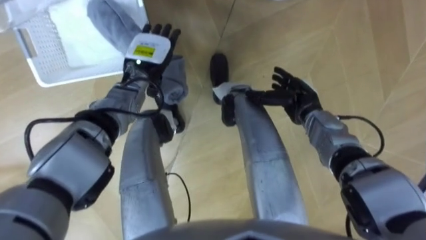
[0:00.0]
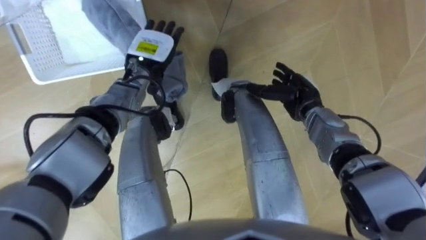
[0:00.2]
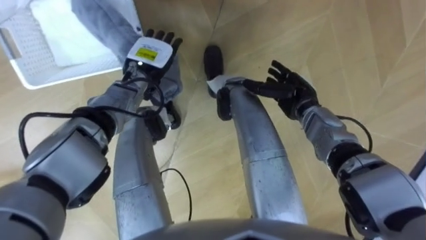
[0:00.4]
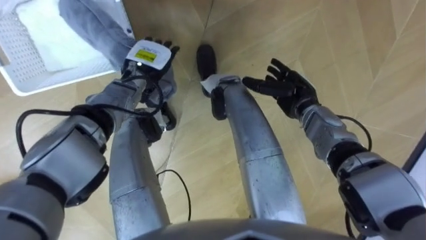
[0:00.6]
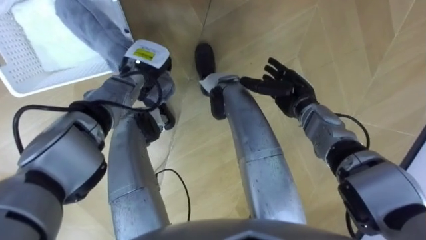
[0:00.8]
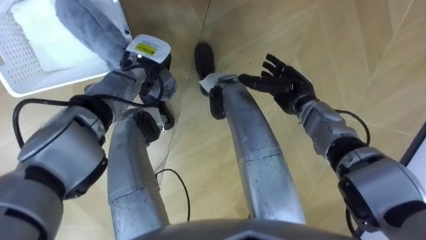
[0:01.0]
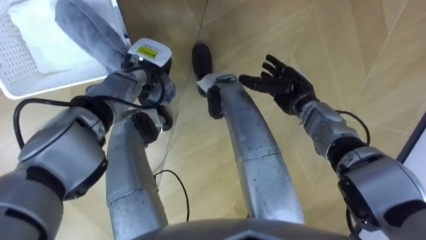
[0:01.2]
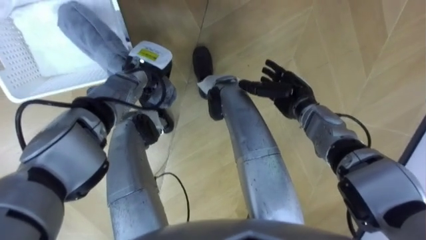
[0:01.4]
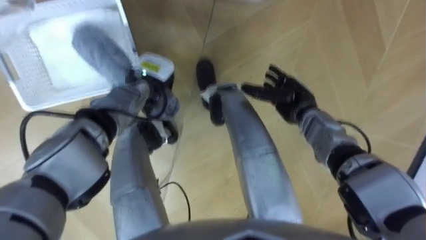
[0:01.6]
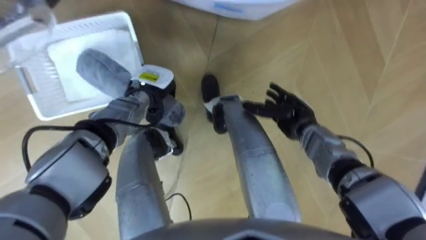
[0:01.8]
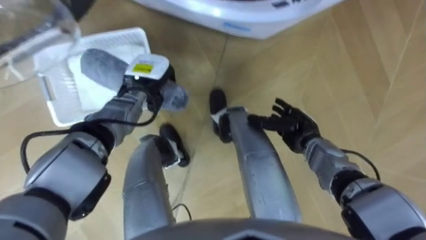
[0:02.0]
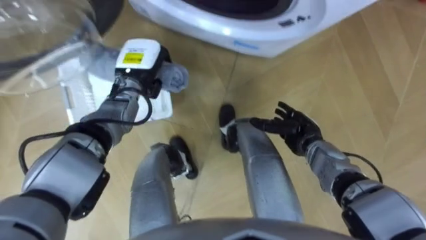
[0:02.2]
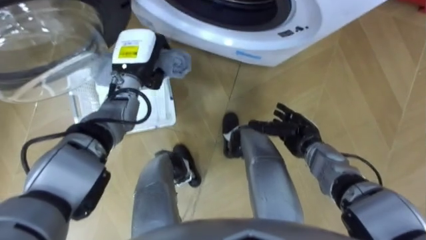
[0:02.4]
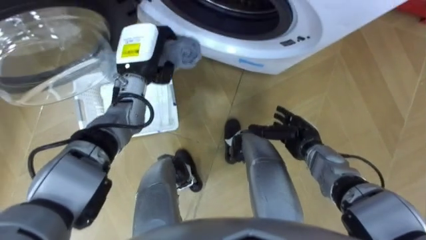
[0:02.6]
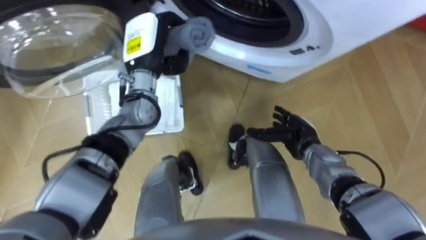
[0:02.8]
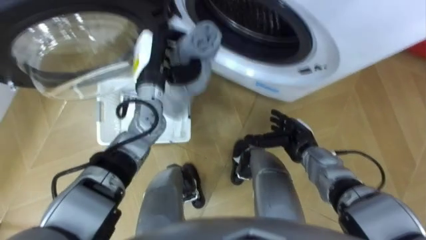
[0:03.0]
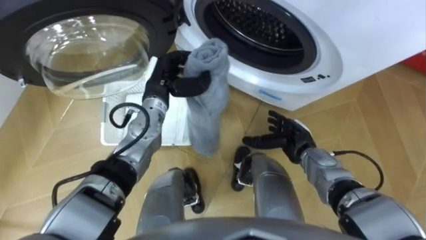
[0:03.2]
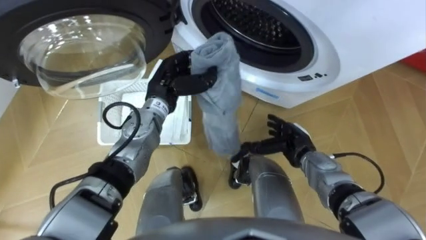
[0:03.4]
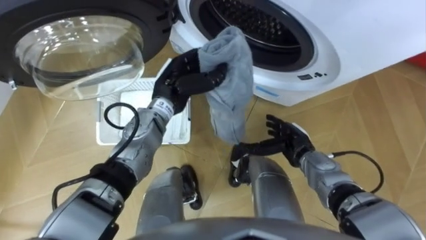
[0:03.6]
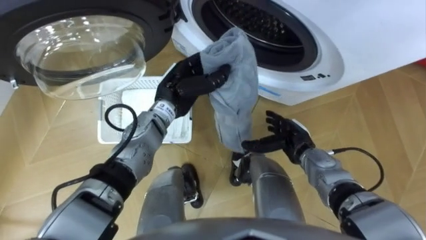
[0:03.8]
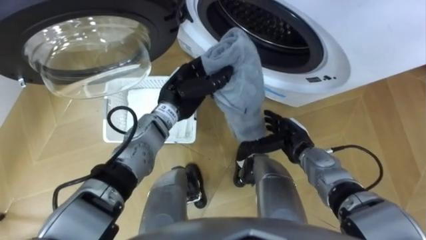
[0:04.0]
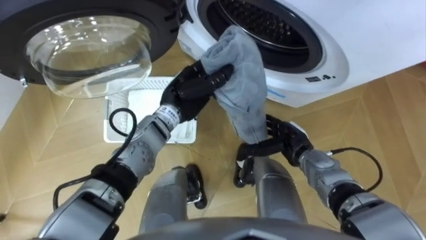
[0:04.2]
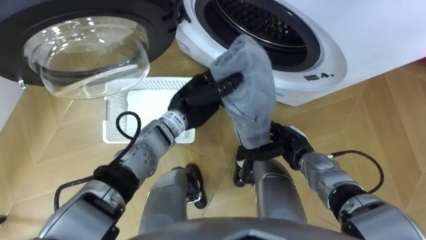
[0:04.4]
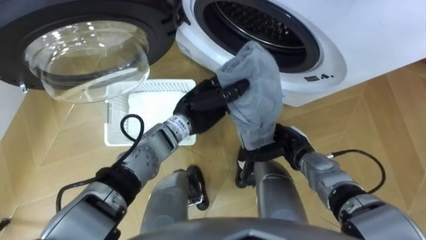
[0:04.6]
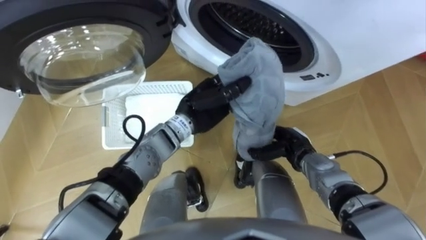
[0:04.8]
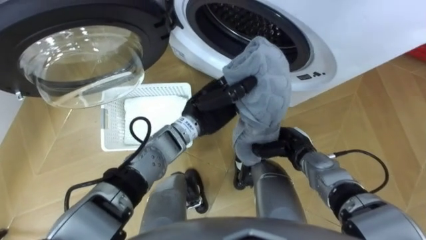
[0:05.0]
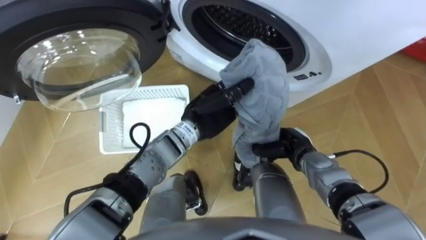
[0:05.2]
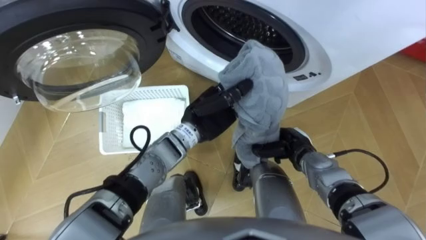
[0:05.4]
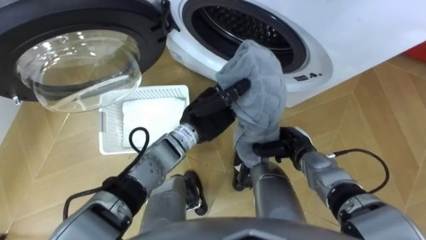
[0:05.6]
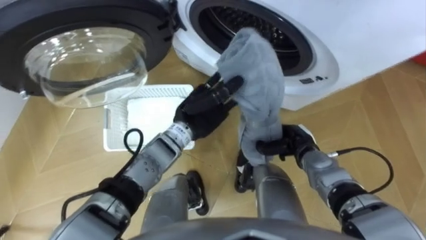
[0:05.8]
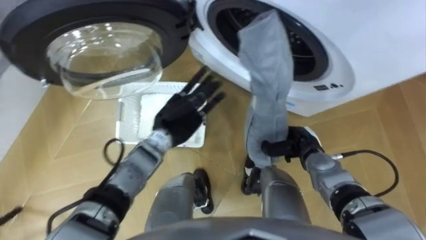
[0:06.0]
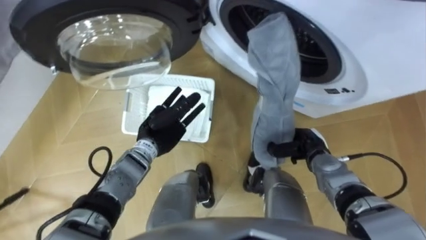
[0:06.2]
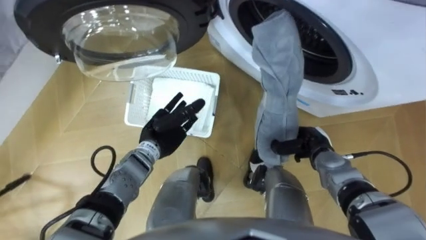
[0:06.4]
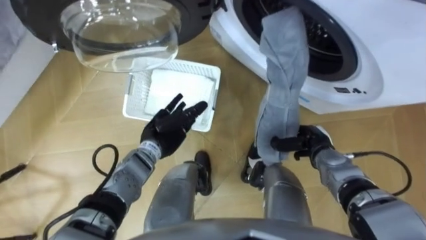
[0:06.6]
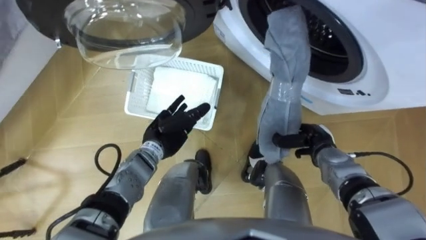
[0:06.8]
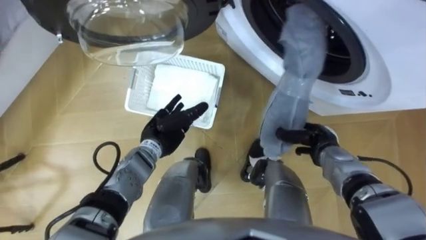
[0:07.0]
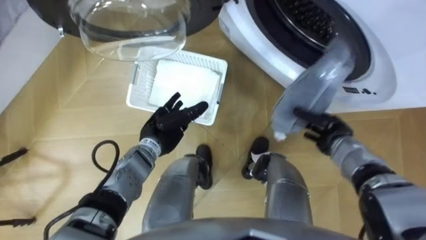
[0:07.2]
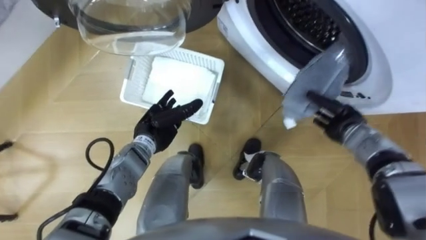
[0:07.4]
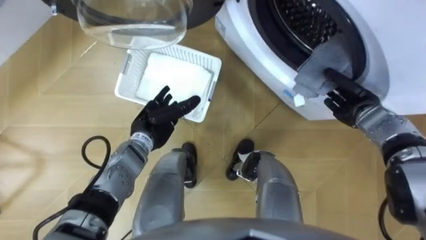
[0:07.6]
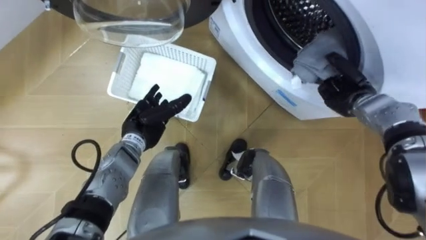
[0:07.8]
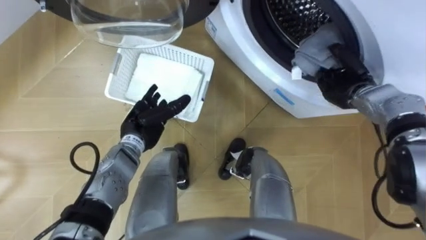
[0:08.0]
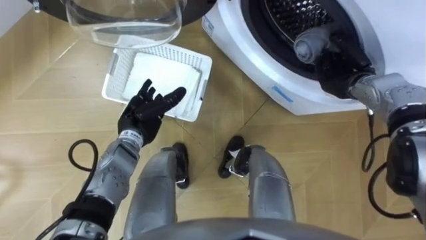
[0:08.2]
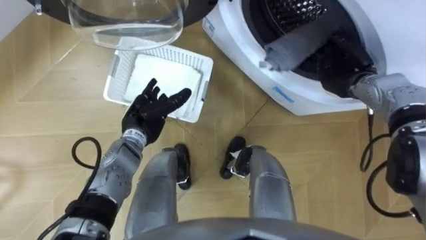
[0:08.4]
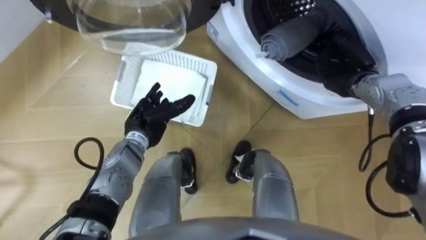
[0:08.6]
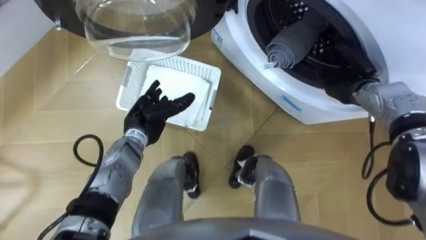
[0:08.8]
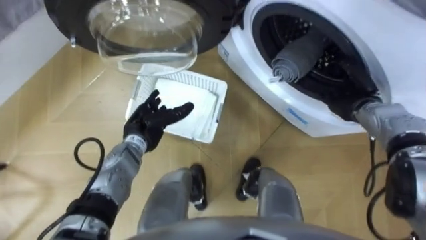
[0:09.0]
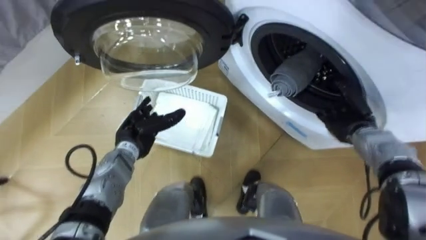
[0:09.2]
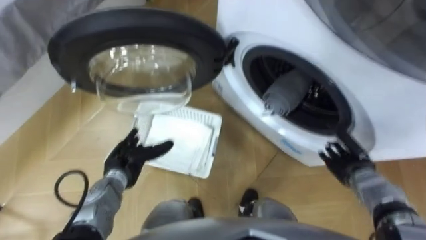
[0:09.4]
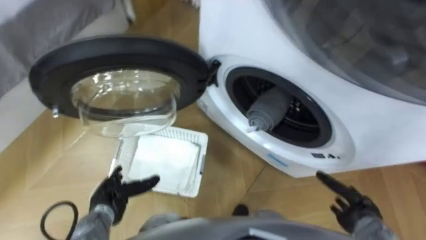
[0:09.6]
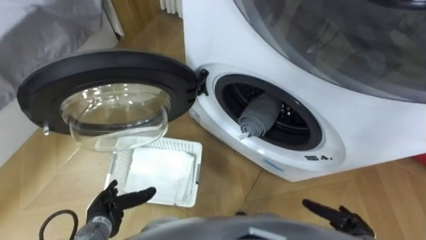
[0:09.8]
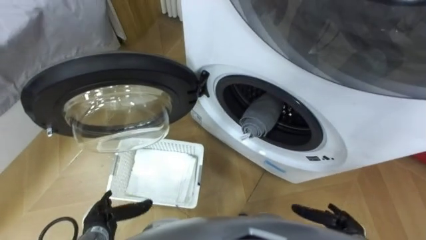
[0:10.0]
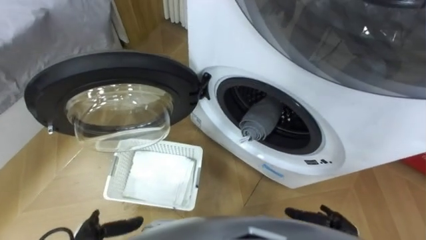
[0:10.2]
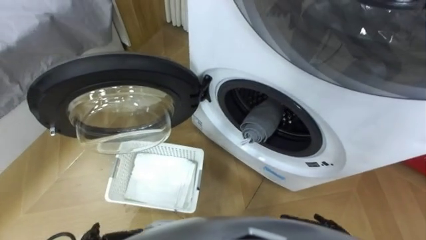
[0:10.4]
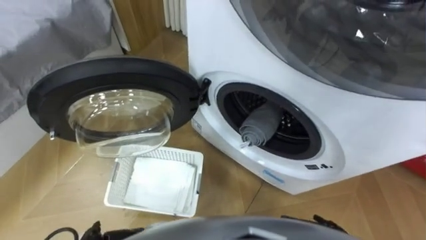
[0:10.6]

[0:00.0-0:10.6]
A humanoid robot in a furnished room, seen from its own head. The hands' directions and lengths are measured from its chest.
Task of the whole recording: Take the towel from the basket and put it into the washing machine.
0:00.0 to 0:01.6: The left hand closes up.
0:01.6 to 0:03.0: The left hand heads upward, covering approximately 5 cm. The right hand moves backward and downward, about 10 cm.
0:03.0 to 0:04.6: The left hand moves to the right and backward, roughly 10 cm.
0:04.6 to 0:06.0: The right hand closes, while the left hand moves to the left, approximately 5 cm, and opens its fingers.
0:06.0 to 0:07.6: The left hand heads to the left, covering roughly 5 cm. The right hand heads to the right, forward and upward, covering approximately 15 cm.
0:07.6 to 0:09.0: The right hand opens its fingers.

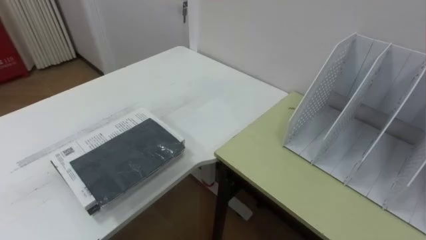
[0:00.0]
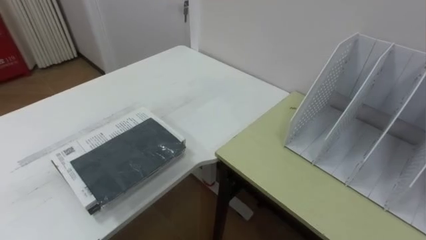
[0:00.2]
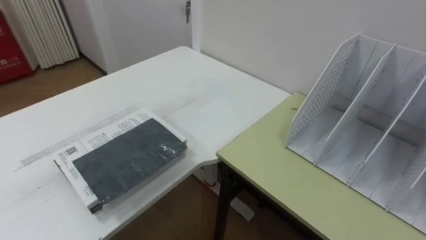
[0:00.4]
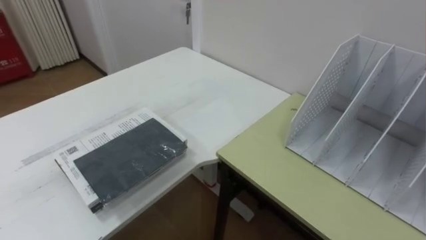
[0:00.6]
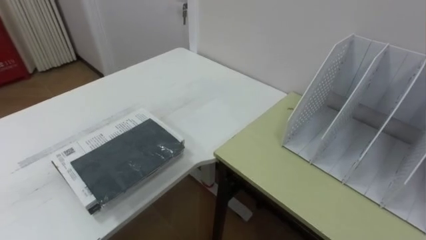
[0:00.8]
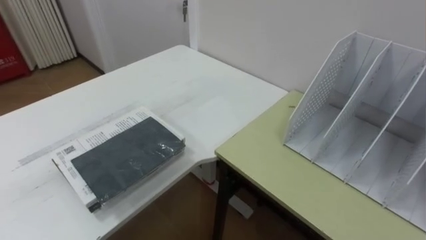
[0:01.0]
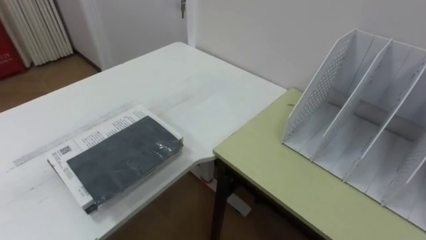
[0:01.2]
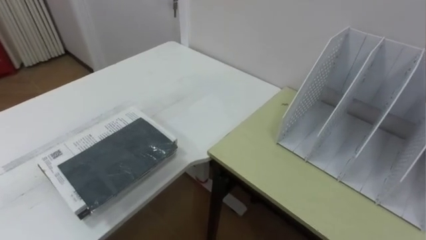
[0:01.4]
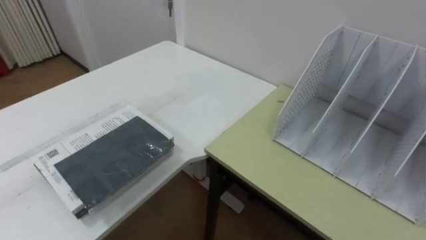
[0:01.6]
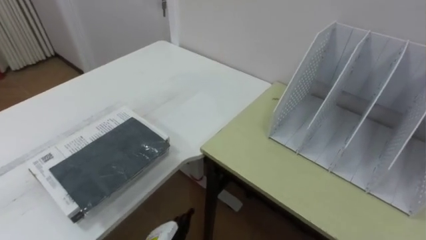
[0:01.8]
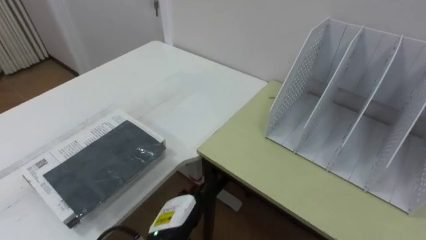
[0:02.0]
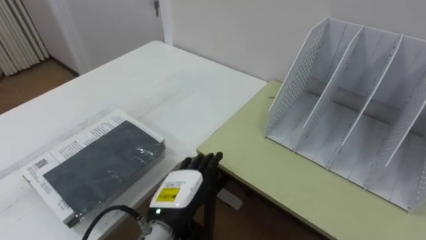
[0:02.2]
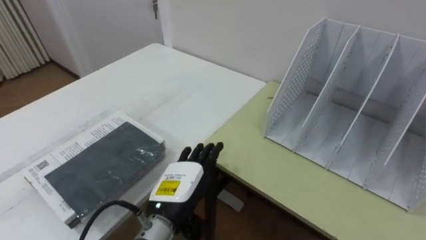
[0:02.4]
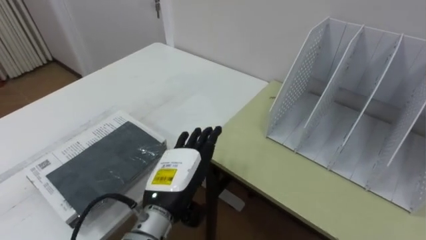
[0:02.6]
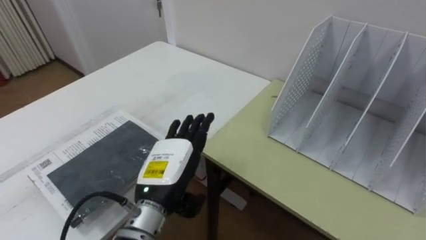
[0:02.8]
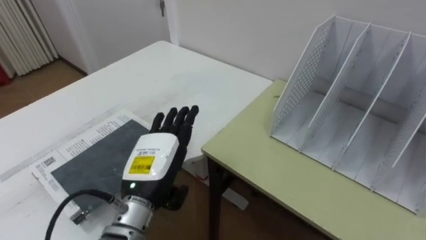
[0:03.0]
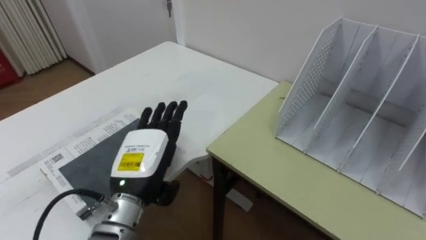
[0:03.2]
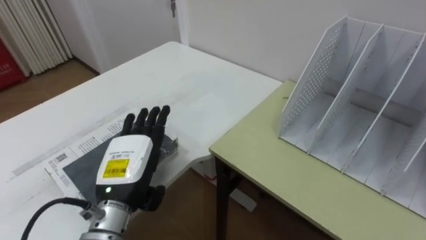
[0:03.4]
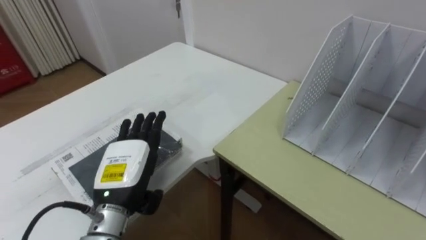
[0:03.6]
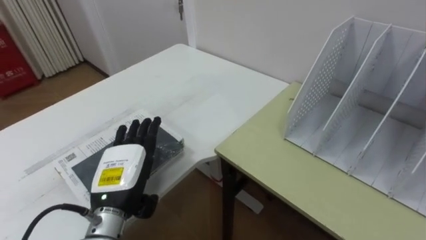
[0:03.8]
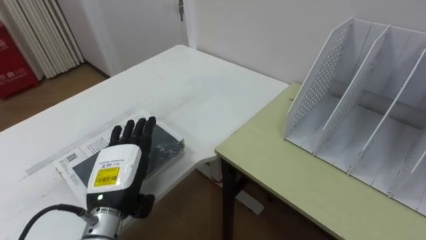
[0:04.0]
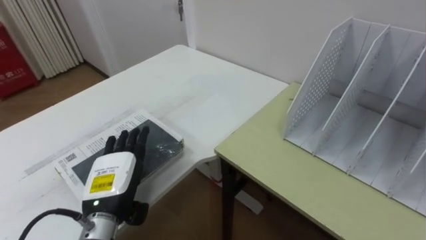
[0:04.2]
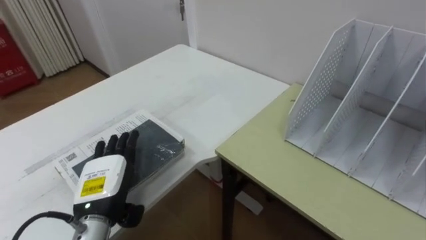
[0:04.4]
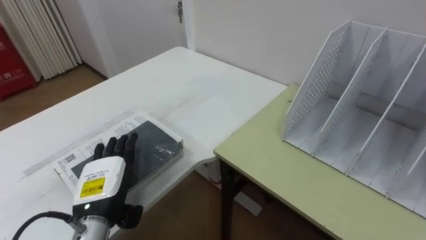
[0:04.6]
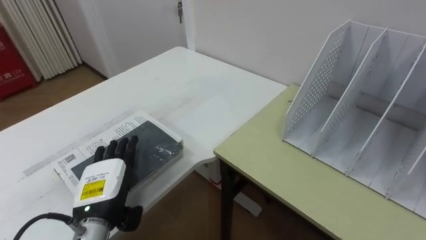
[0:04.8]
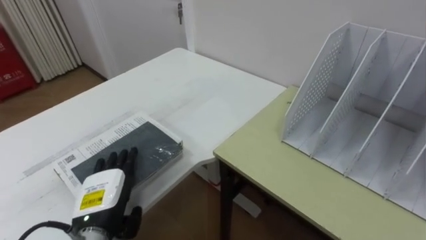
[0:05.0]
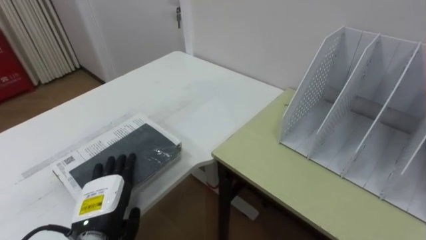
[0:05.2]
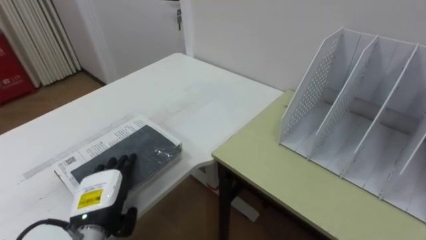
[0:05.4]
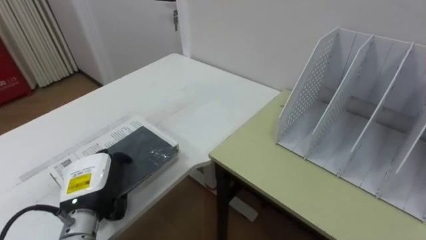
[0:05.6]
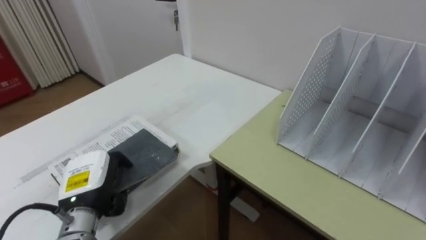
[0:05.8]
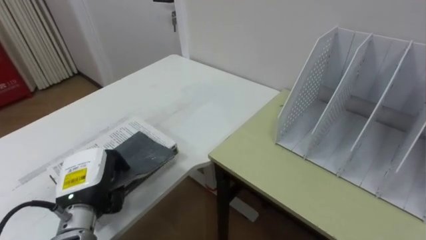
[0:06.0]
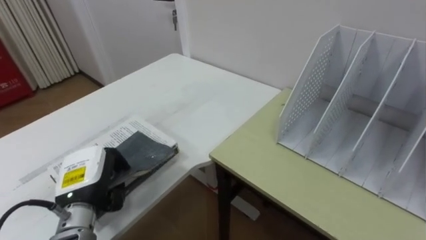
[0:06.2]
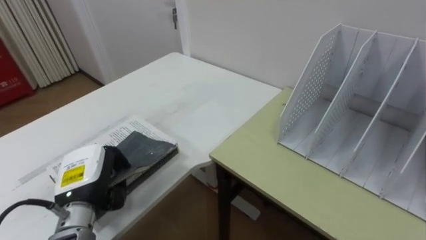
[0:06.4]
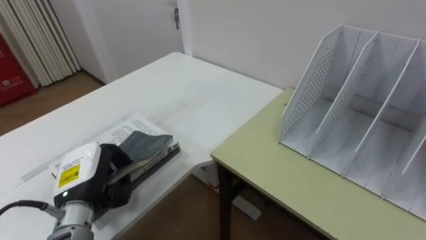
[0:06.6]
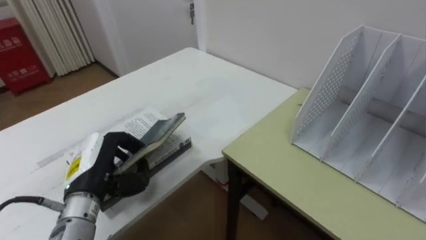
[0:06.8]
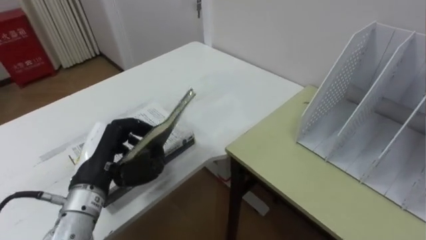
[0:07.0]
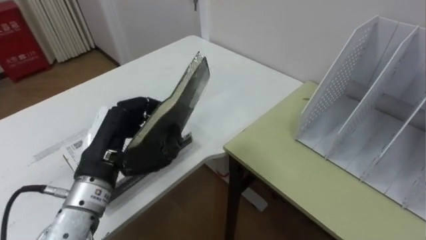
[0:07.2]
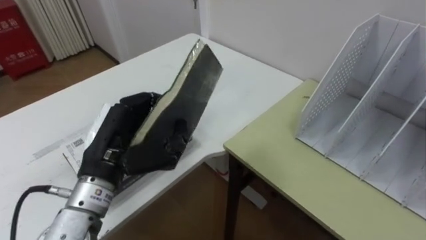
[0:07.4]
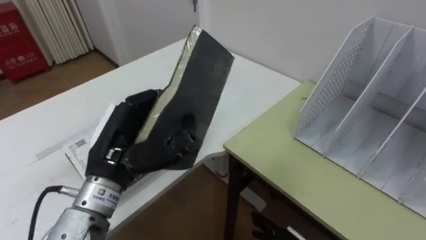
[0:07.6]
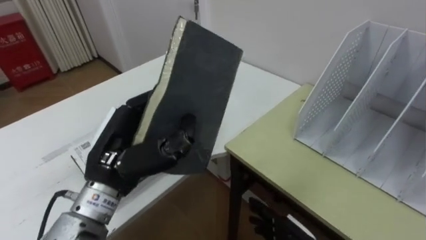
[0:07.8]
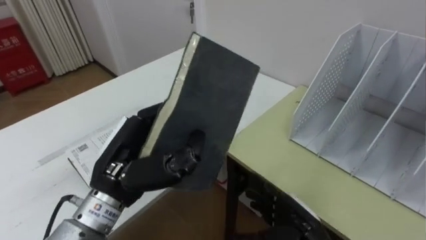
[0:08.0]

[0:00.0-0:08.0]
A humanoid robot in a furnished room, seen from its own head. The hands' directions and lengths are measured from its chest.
Task of the whole recording: Put the books on the table onto the bookshelf.
0:03.2 to 0:04.8: The left hand shifts roughly 10 cm to the left and downward.
0:04.8 to 0:06.4: The left hand closes its fingers.
0:06.4 to 0:08.0: The left hand heads upward and to the right, covering about 15 cm.
